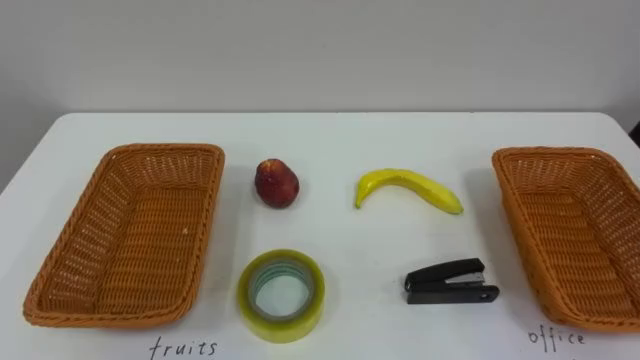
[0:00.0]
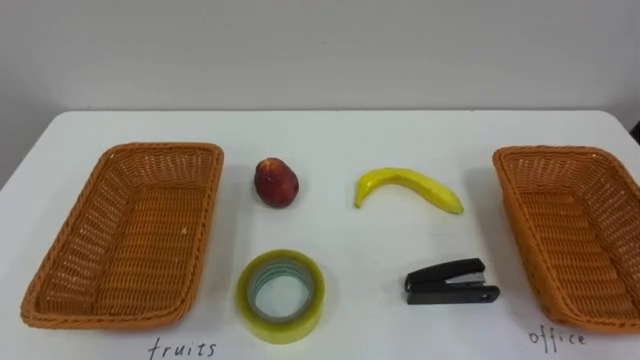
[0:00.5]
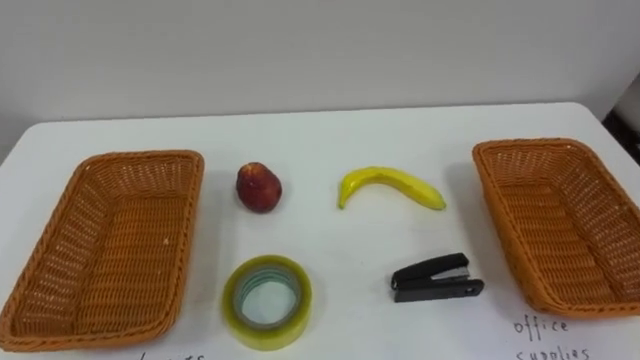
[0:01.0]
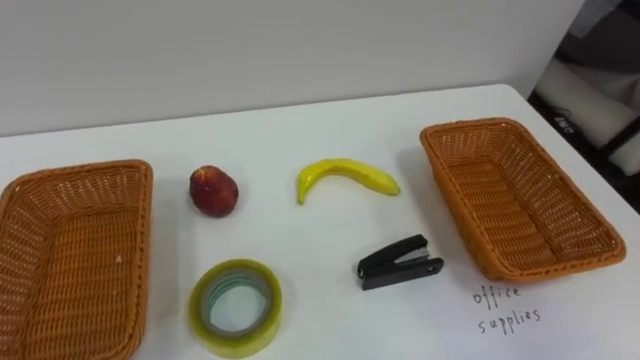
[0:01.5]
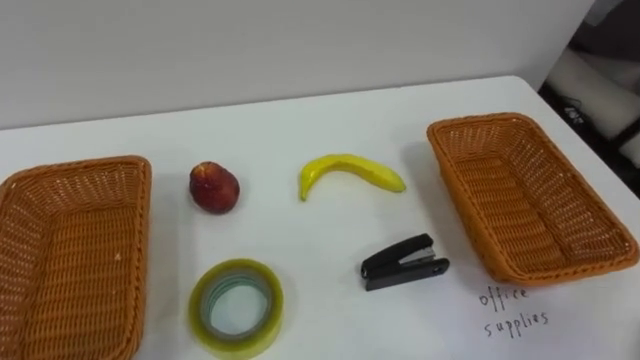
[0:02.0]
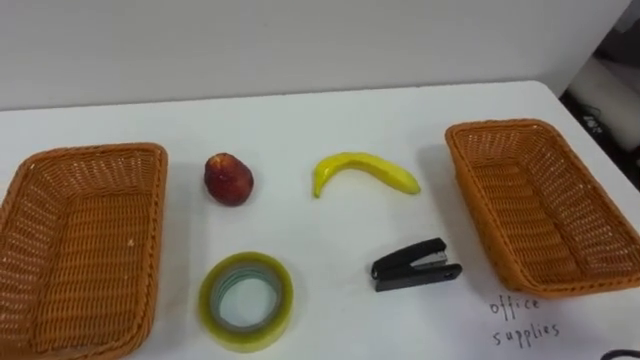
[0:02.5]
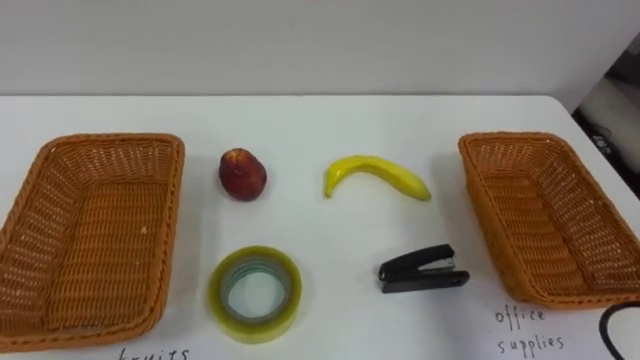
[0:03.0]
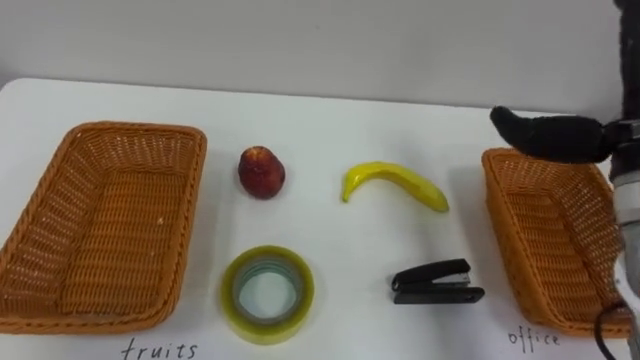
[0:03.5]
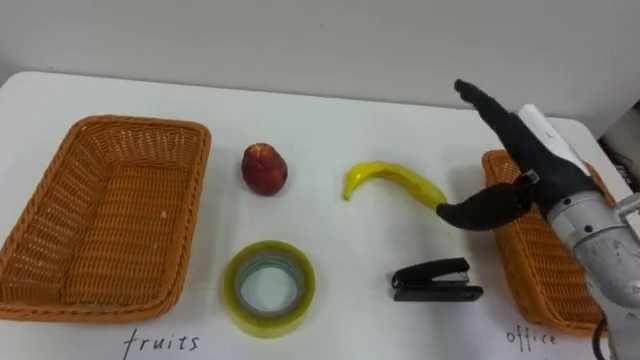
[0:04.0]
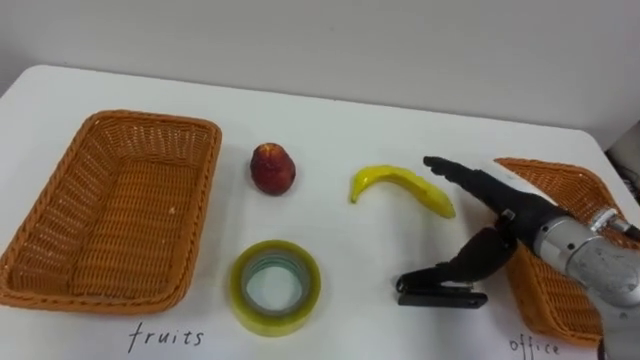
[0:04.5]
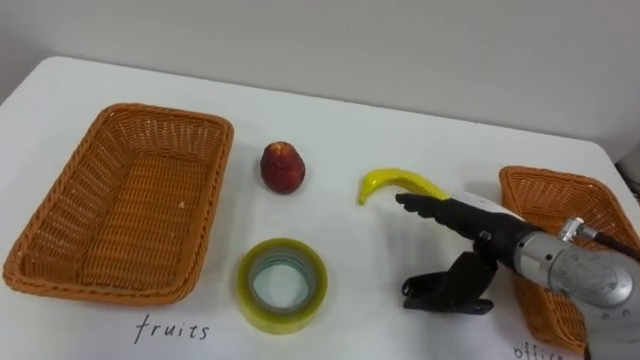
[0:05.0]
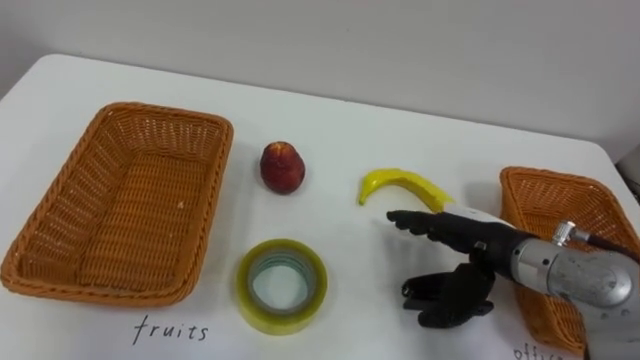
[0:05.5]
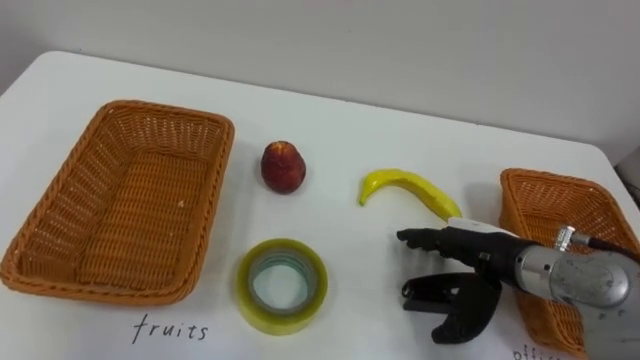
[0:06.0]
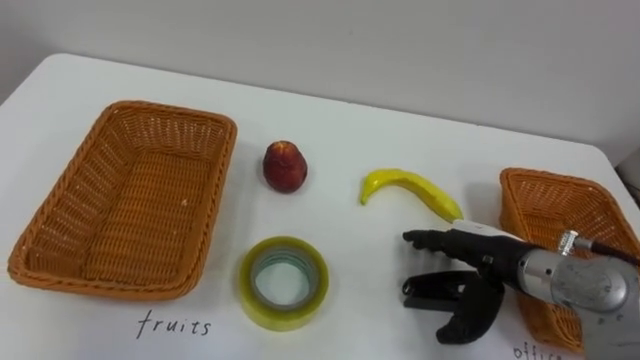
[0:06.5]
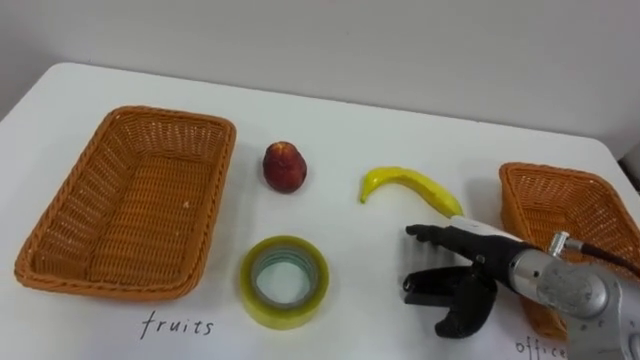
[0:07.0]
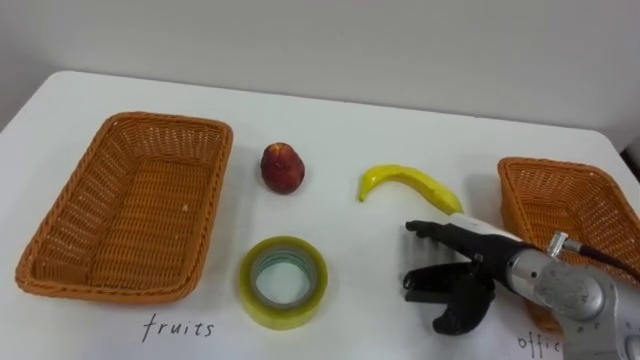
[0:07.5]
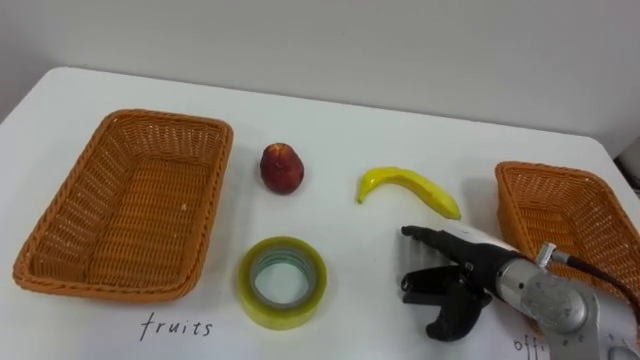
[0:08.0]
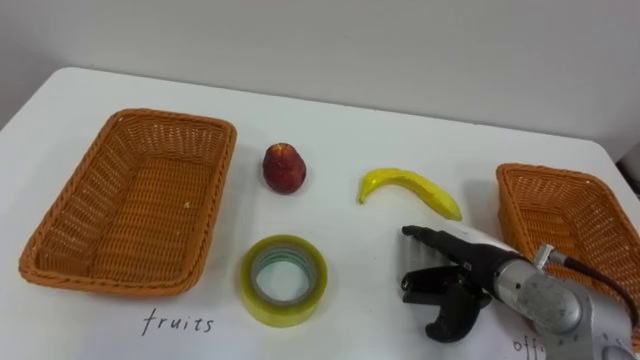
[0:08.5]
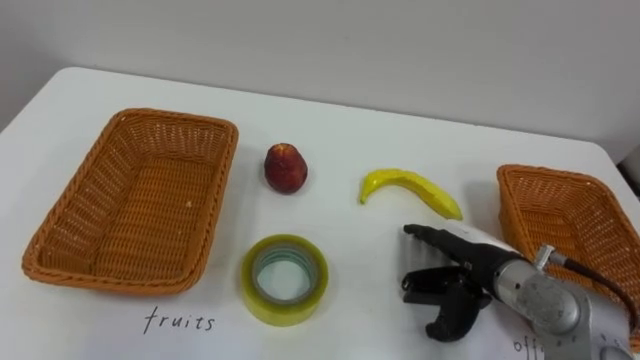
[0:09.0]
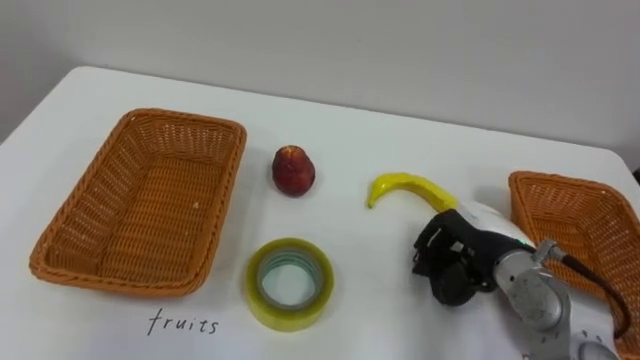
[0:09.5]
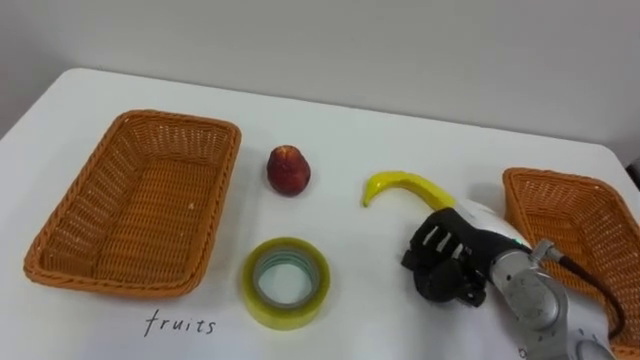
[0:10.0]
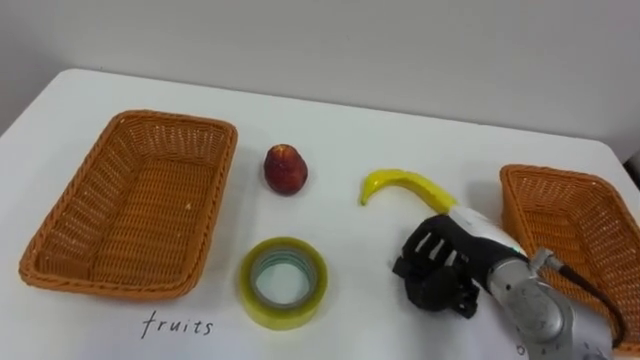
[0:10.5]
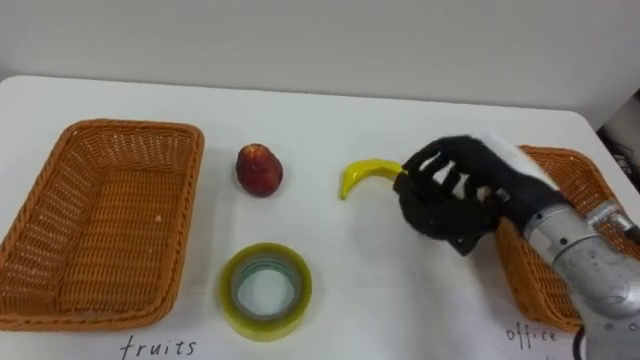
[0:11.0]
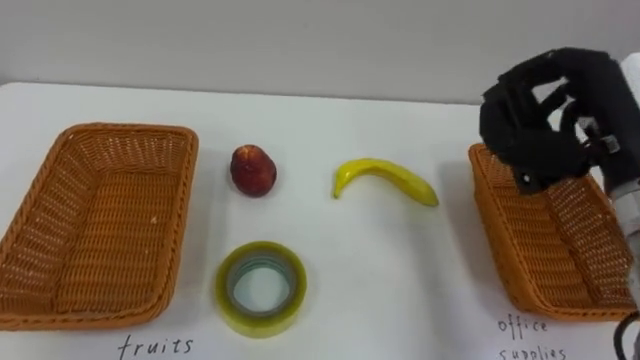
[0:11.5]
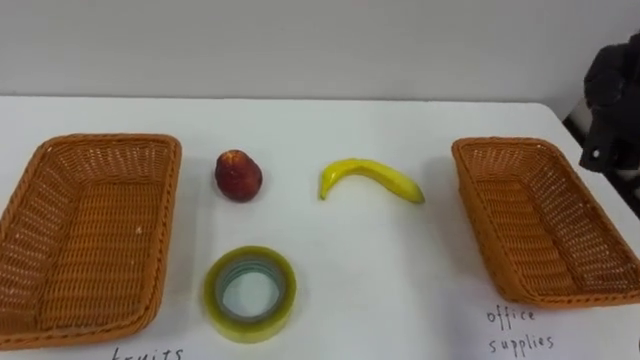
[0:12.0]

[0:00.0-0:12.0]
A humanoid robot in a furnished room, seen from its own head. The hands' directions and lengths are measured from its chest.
Task of the whole recording: Separate the items on the table and place them into the two baskets.
0:04.0 to 0:06.0: The right hand is displaced downward by some 10 cm.
0:08.0 to 0:10.0: The right hand closes up.

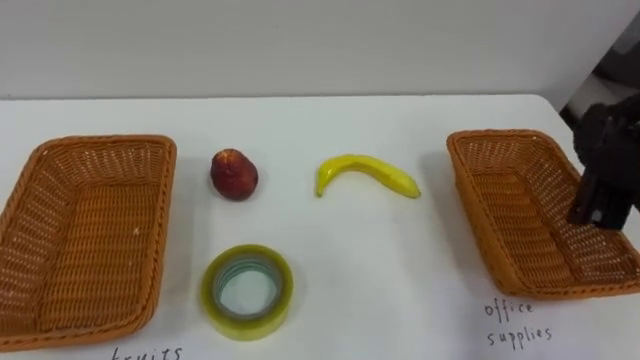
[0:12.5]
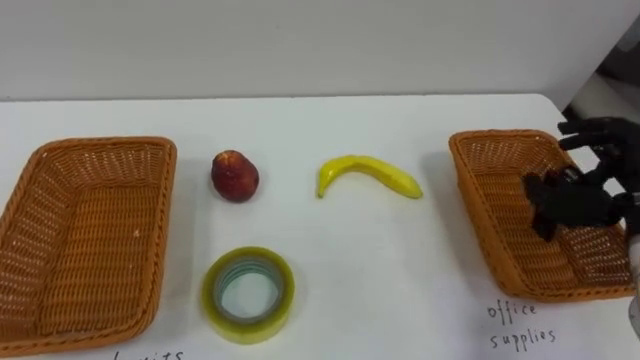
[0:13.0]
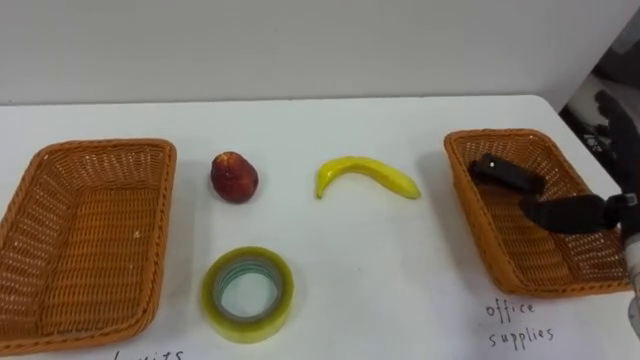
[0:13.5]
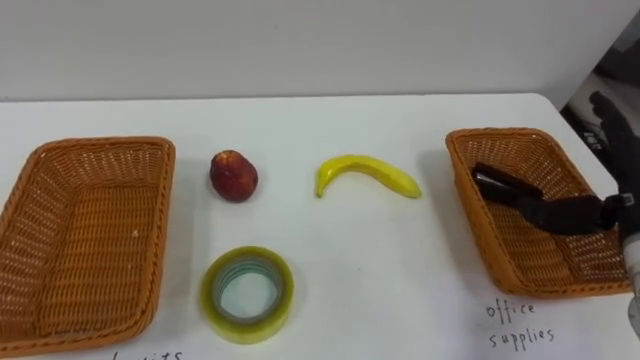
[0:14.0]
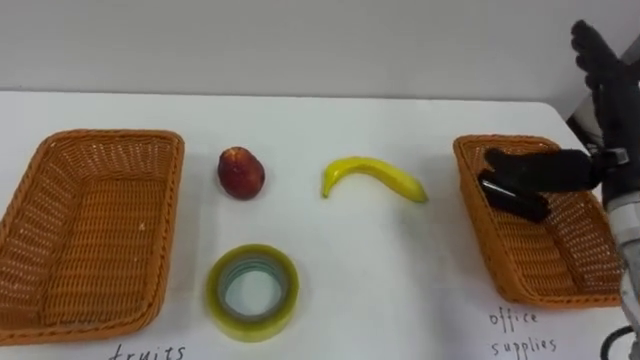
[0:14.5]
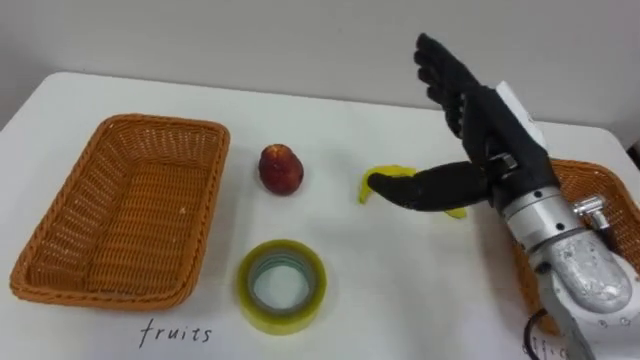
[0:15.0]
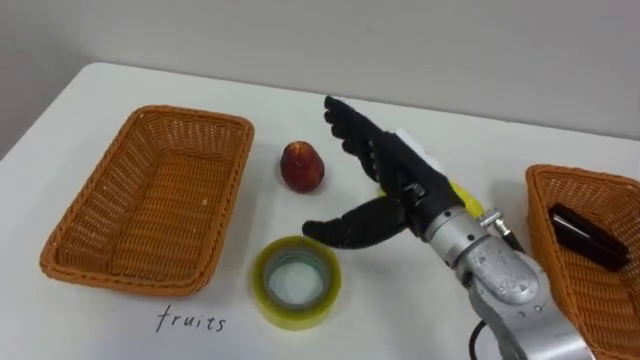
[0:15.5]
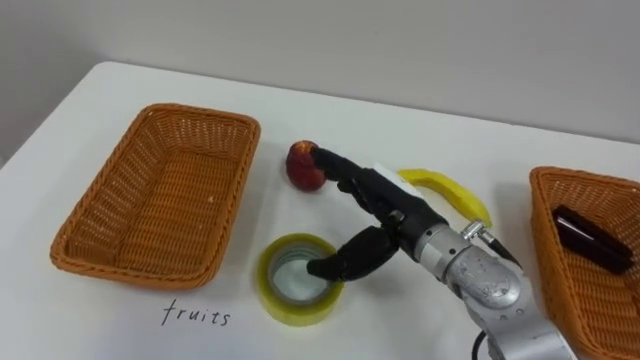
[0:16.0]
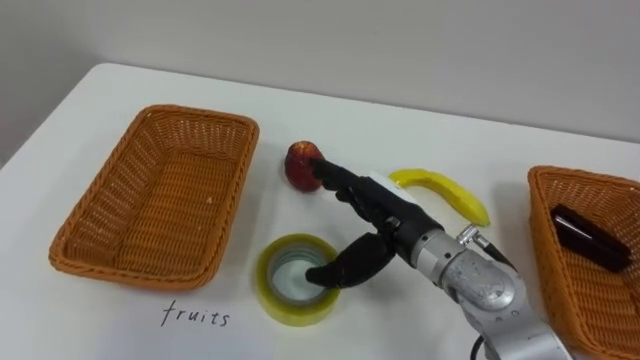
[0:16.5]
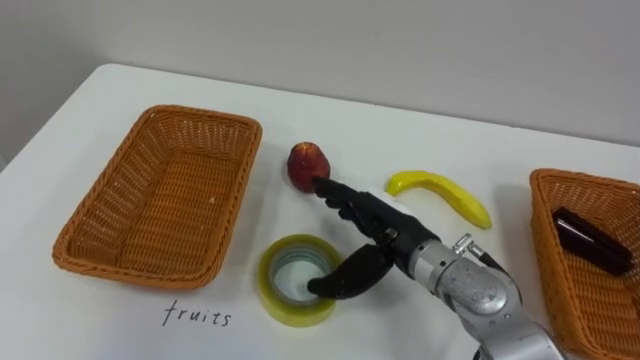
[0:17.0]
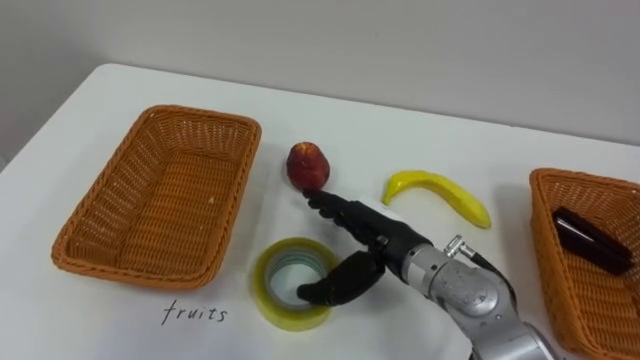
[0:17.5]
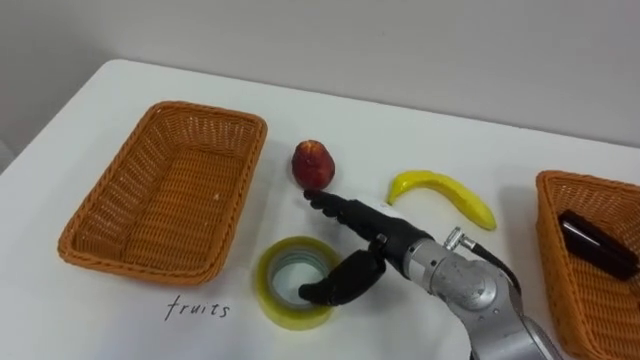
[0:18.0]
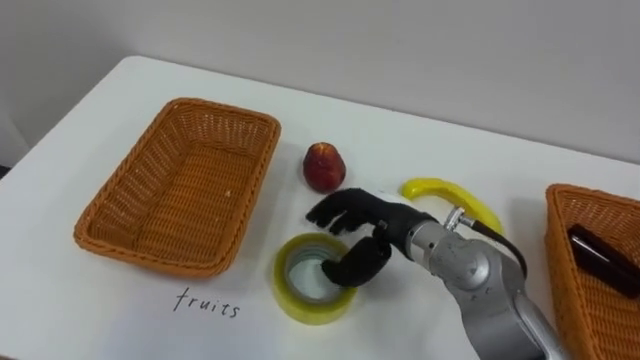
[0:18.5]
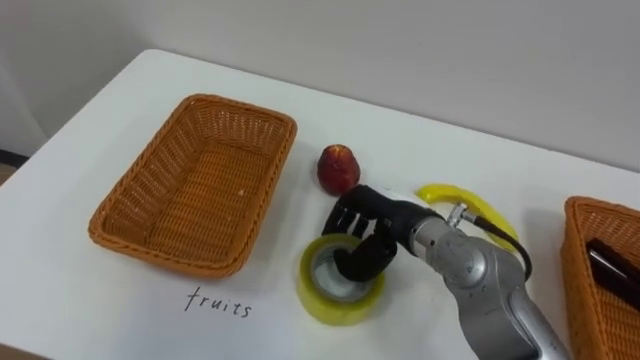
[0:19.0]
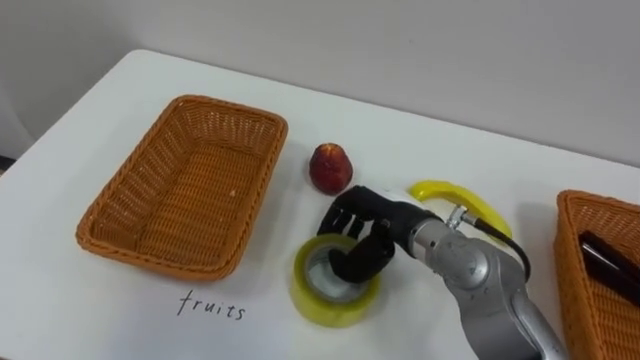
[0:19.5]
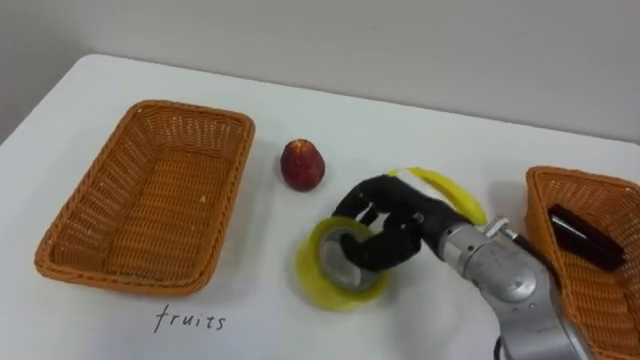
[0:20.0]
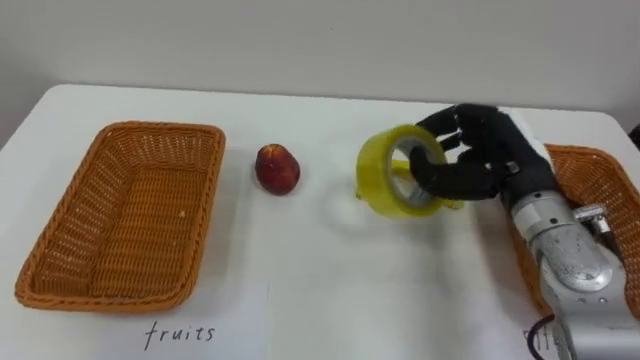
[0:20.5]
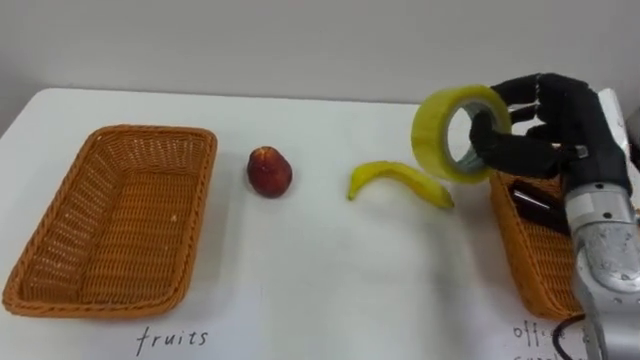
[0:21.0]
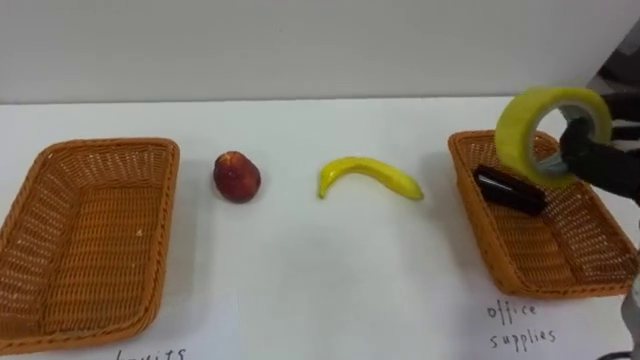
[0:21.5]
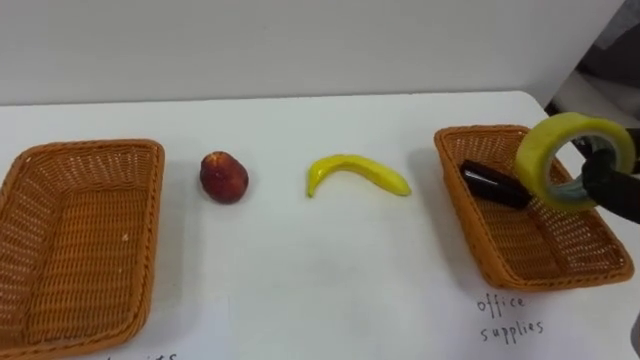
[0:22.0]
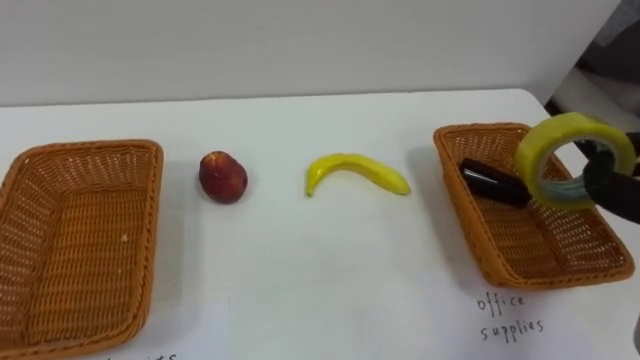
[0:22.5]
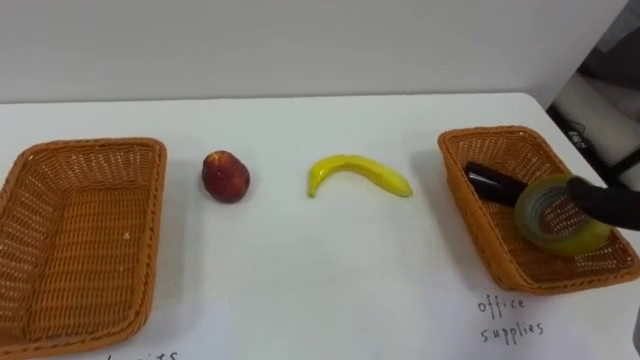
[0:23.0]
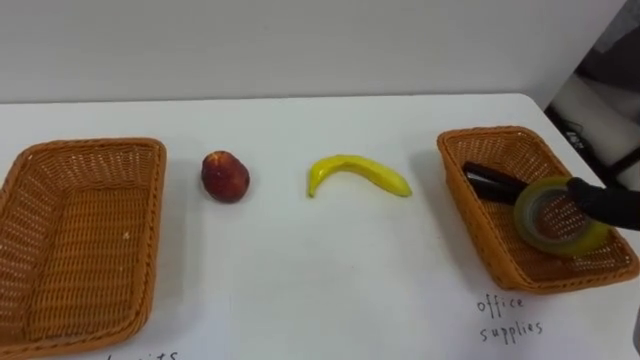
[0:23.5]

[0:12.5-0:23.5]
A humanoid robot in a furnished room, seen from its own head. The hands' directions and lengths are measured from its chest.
Task of the whole recording: Separate the items on the table and place them into the two baskets.
0:14.5 to 0:16.0: The right hand moves to the left and downward, about 20 cm.
0:18.0 to 0:20.0: The right hand closes.
